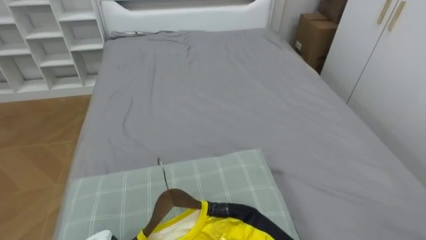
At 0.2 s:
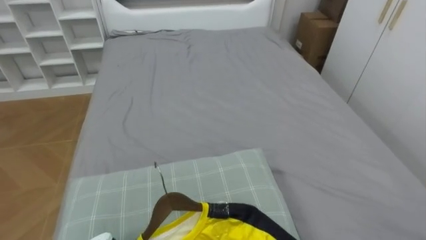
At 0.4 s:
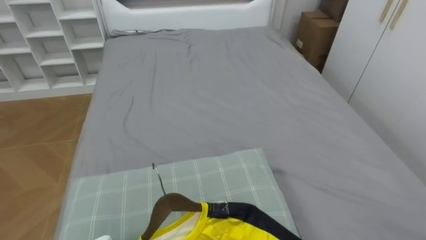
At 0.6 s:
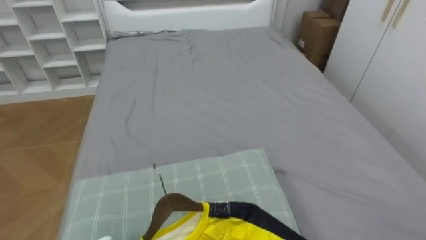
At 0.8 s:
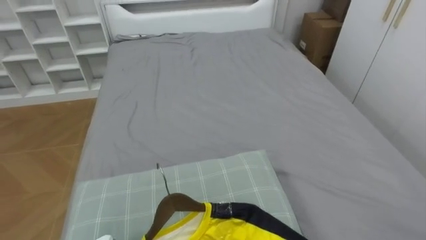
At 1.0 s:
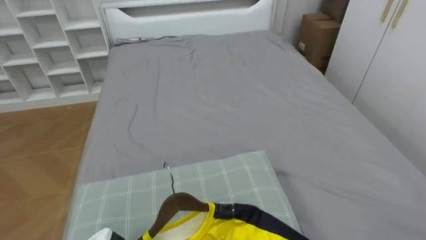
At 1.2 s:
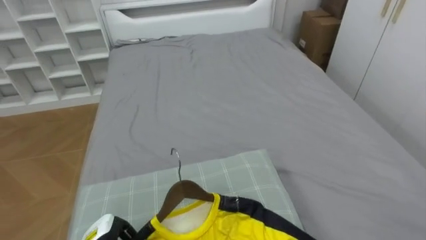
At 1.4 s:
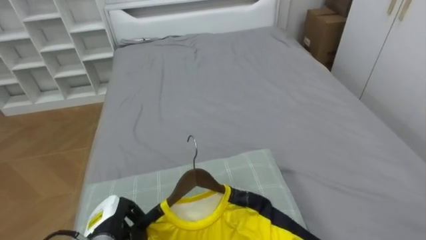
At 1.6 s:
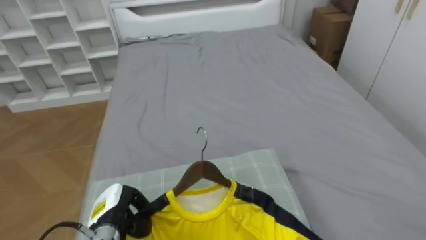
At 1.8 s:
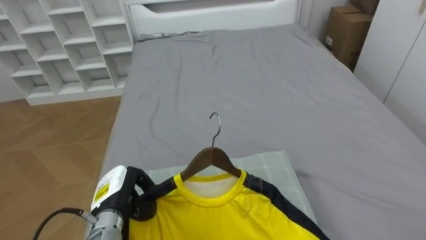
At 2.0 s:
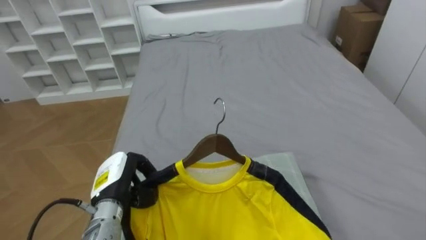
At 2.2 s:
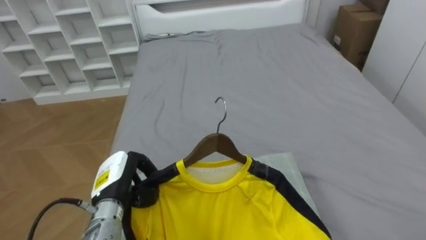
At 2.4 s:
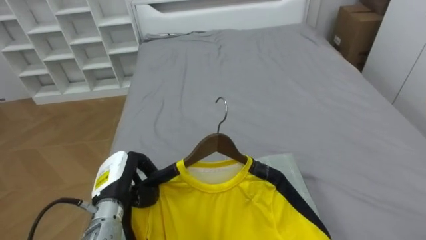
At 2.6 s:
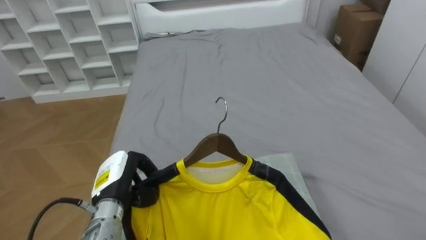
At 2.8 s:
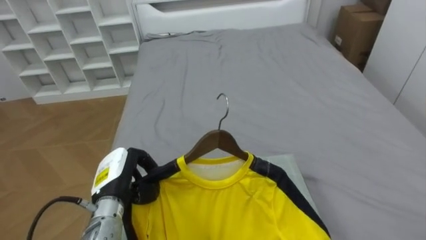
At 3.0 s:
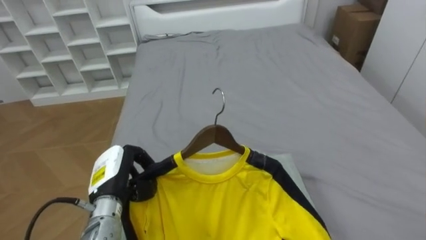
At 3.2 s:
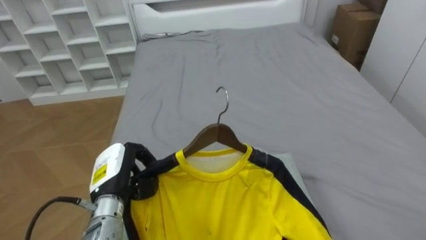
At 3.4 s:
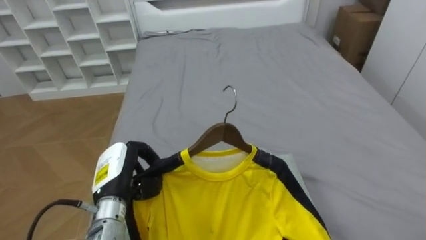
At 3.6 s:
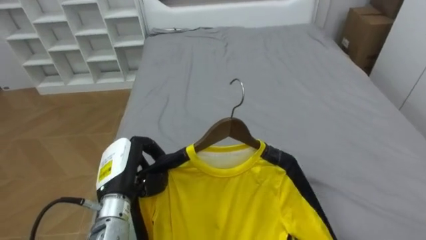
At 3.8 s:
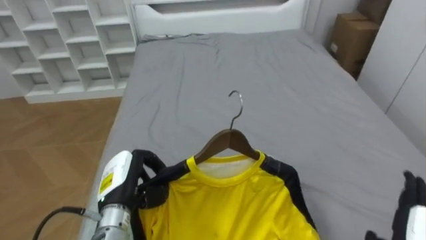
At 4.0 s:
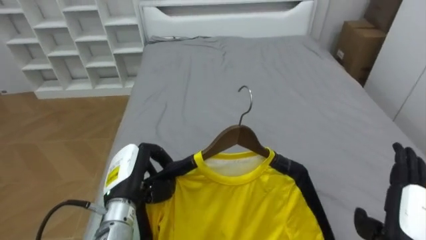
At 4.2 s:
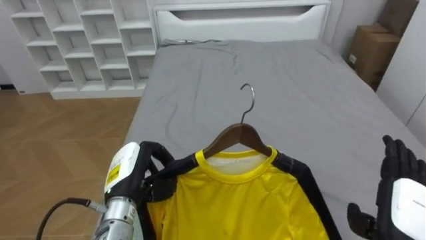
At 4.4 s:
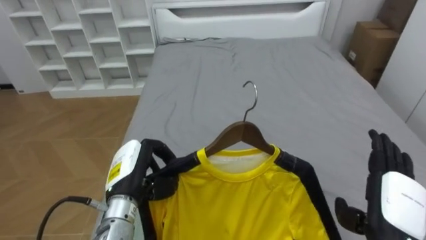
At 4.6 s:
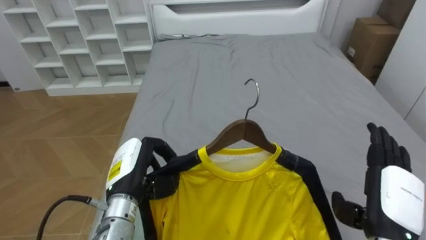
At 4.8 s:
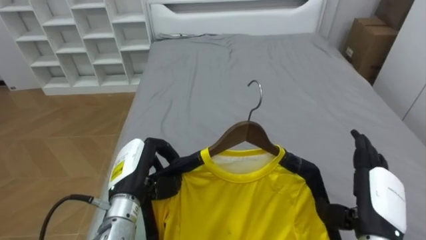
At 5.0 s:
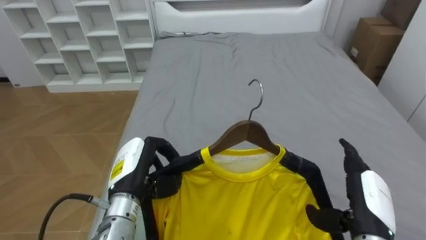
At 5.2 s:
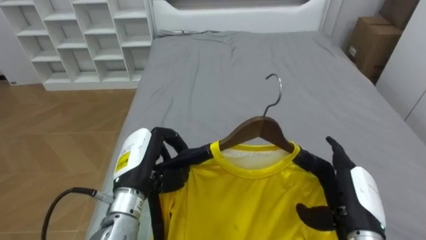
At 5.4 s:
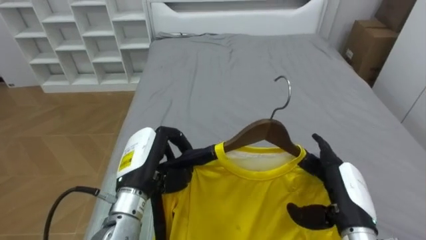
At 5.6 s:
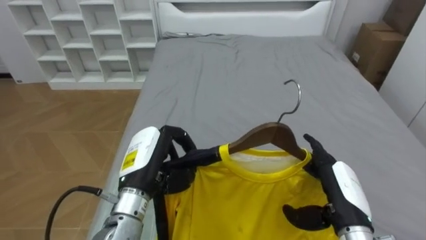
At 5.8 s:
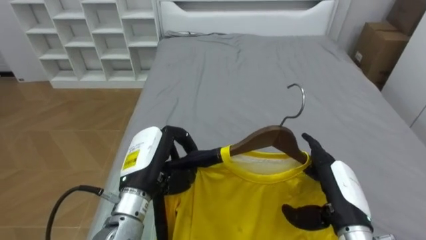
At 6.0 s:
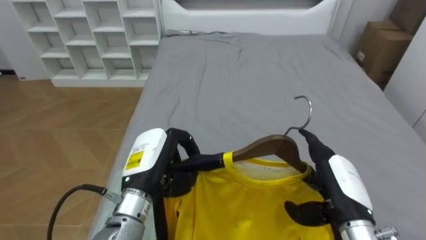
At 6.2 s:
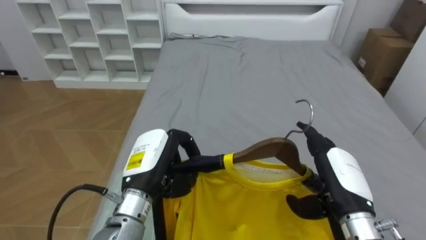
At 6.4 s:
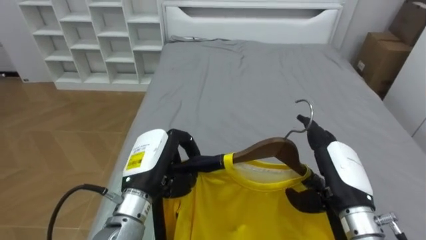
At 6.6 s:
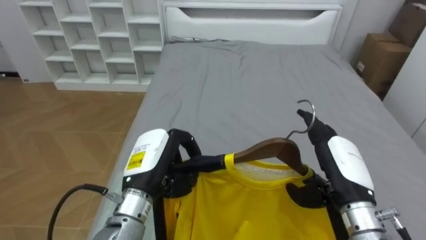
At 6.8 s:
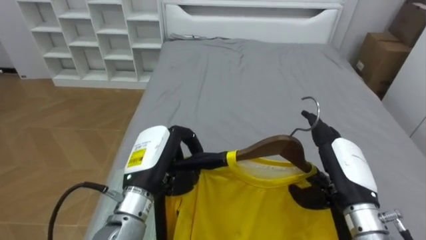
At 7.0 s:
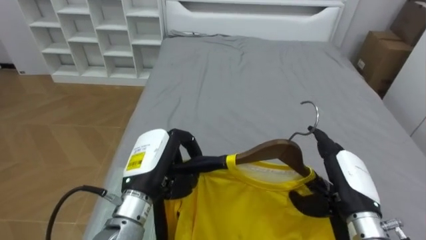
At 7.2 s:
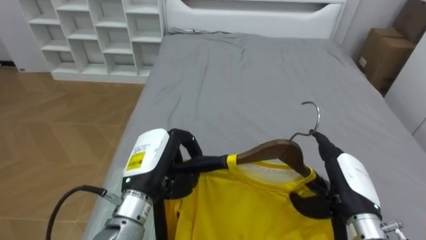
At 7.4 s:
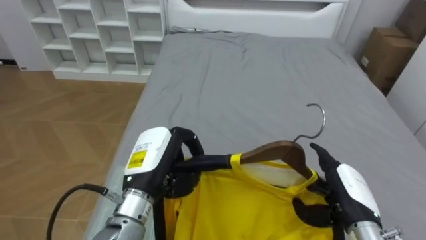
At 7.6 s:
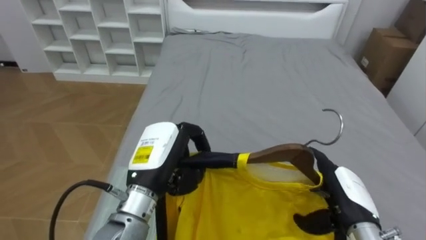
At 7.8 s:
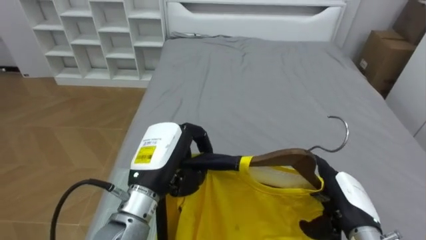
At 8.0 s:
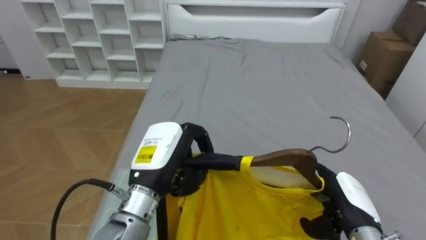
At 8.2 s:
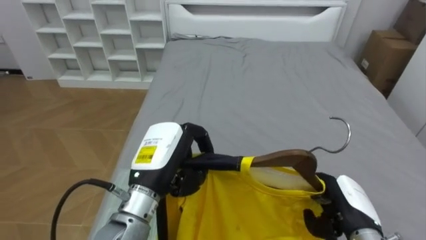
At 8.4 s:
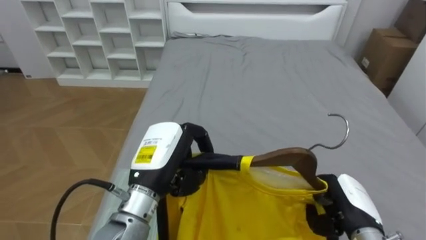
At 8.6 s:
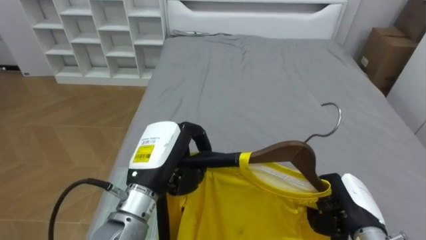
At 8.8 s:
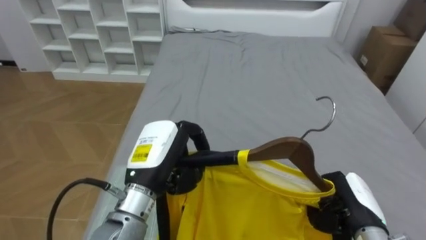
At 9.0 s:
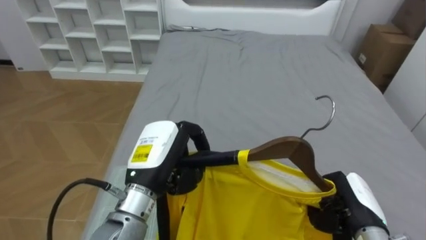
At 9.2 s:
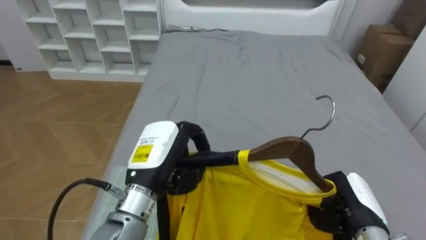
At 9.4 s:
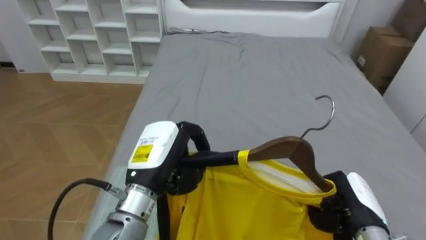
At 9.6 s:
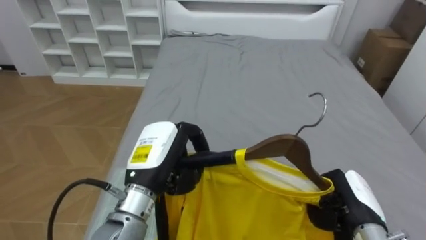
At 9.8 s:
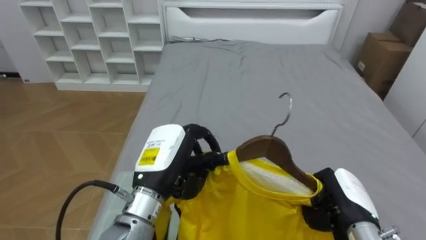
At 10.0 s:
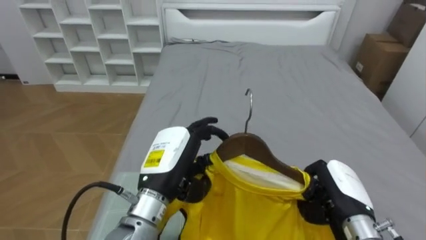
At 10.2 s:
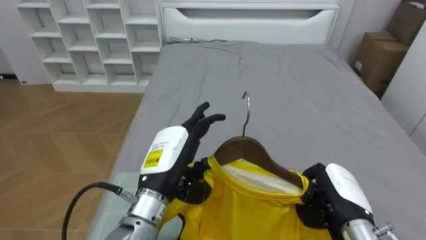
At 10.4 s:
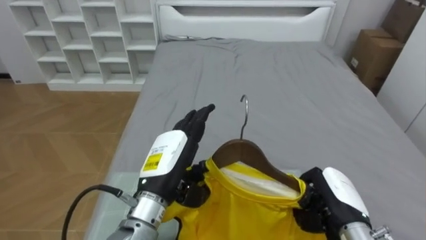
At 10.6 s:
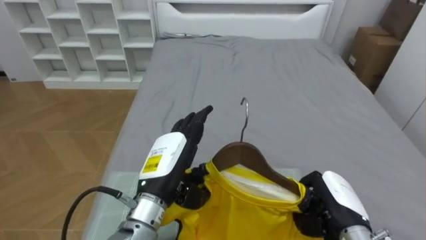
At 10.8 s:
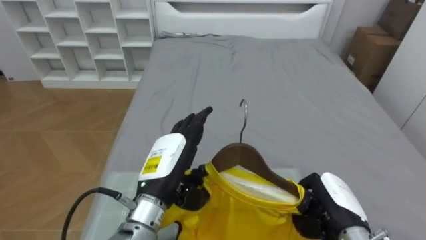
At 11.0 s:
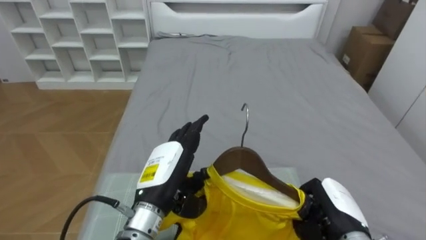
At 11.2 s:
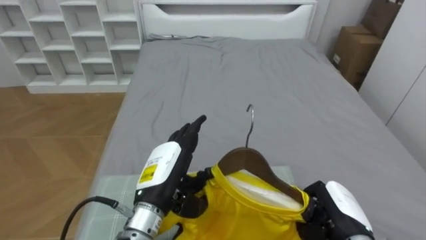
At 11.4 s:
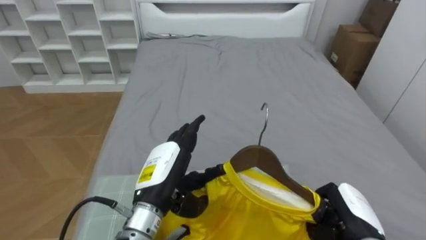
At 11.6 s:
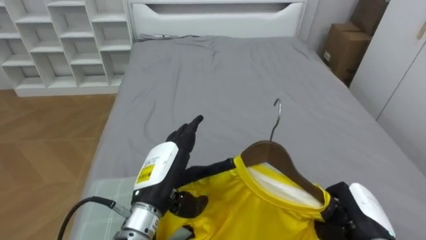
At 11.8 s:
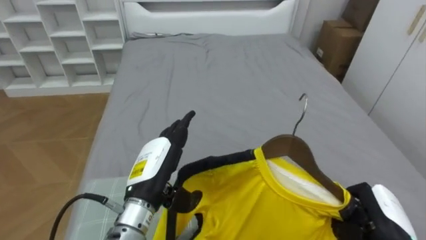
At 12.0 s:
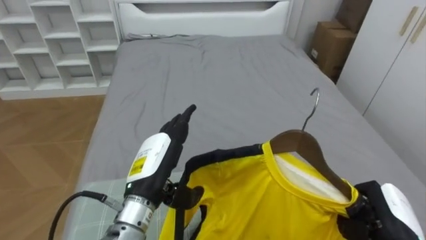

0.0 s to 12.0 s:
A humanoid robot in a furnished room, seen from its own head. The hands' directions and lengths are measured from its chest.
Task of the whole recording: Pick up the yellow shirt on the bed and hang it on the clothes rack on the right.
1.6 to 3.0 s: The left hand shifts roughly 10 cm upward.
4.4 to 6.0 s: The left hand shifts by about 5 cm; the right hand travels to the left by approximately 5 cm.
6.0 to 7.6 s: The right hand shifts by about 5 cm.
7.6 to 9.0 s: The right hand closes its fingers.
9.0 to 10.4 s: The left hand opens its fingers.
10.4 to 12.0 s: The right hand goes approximately 10 cm to the right.

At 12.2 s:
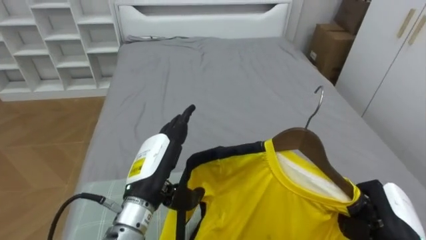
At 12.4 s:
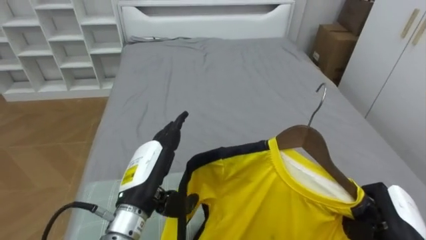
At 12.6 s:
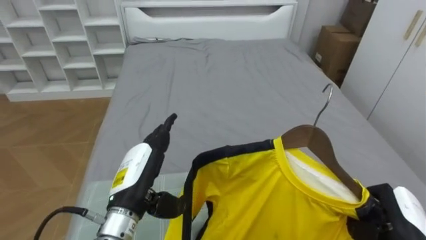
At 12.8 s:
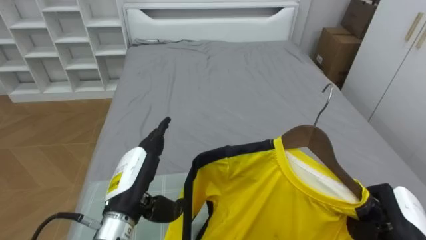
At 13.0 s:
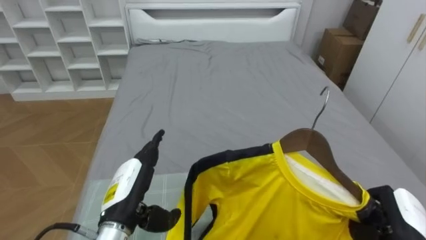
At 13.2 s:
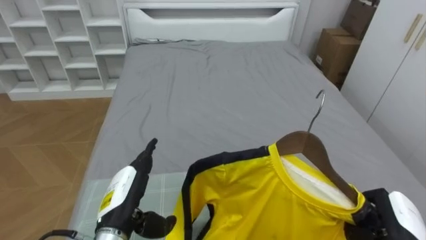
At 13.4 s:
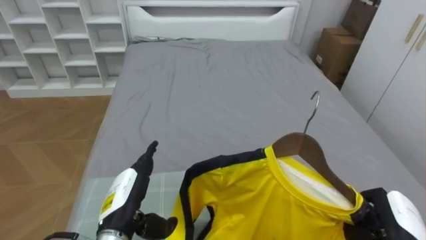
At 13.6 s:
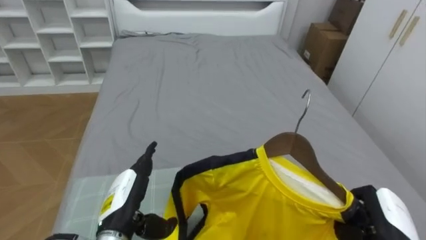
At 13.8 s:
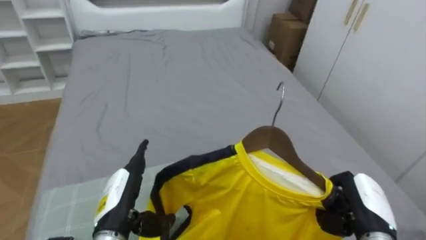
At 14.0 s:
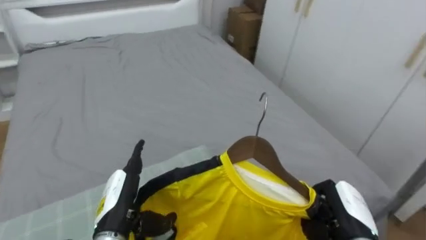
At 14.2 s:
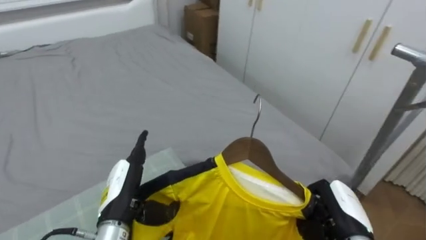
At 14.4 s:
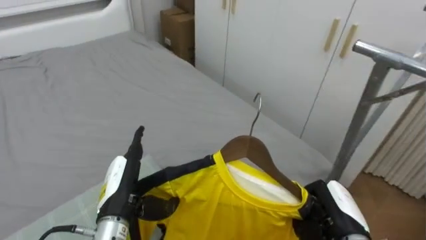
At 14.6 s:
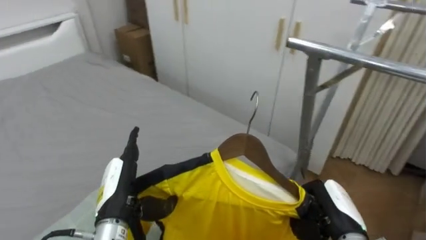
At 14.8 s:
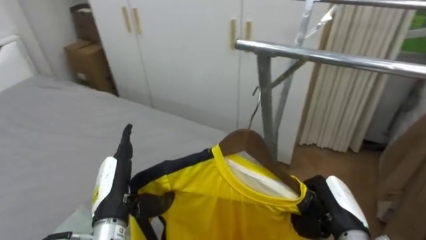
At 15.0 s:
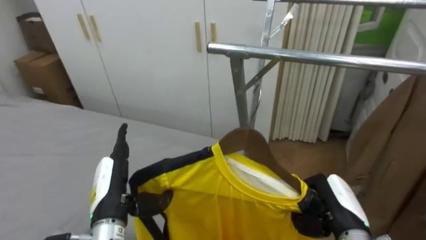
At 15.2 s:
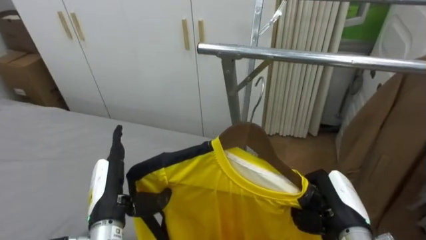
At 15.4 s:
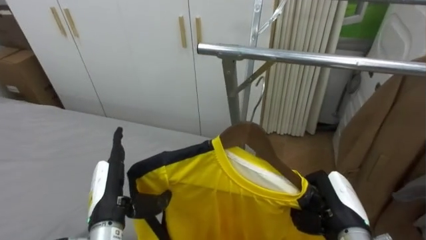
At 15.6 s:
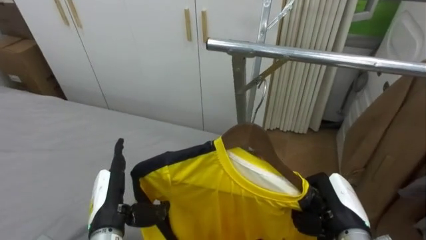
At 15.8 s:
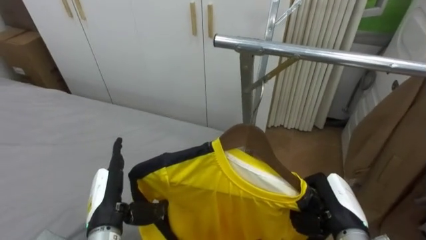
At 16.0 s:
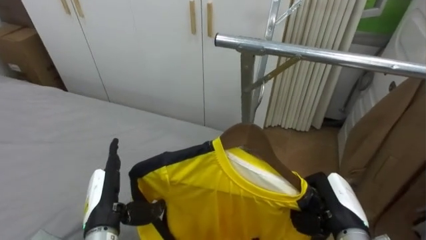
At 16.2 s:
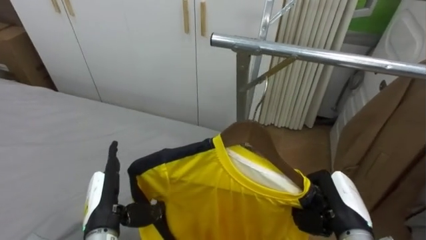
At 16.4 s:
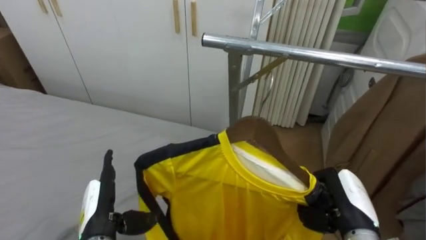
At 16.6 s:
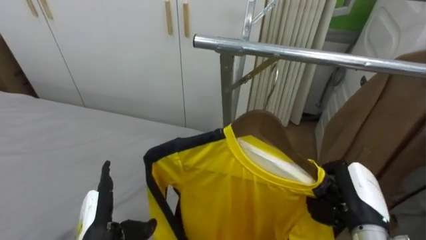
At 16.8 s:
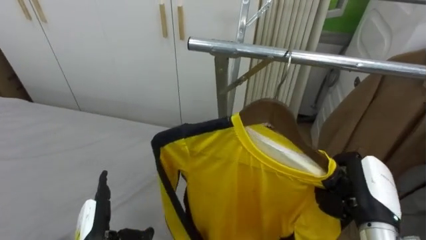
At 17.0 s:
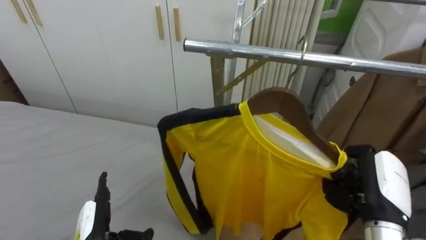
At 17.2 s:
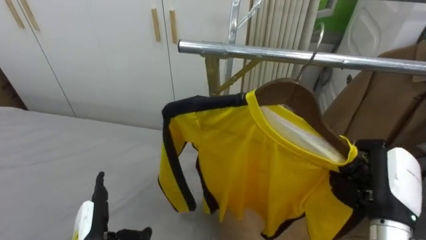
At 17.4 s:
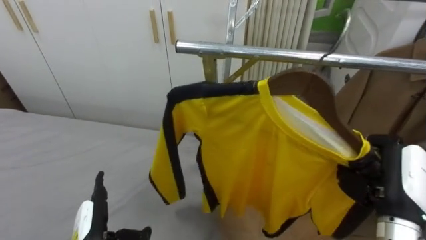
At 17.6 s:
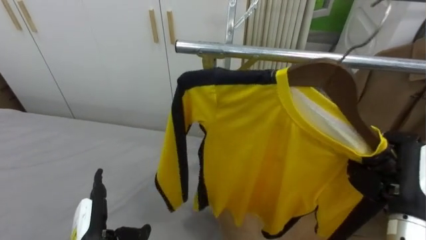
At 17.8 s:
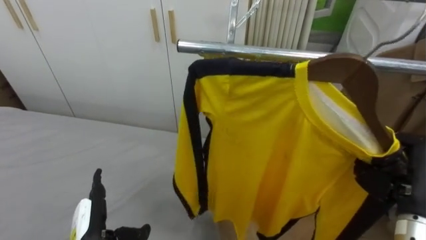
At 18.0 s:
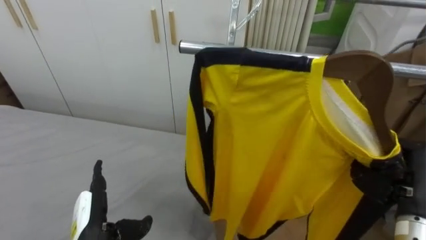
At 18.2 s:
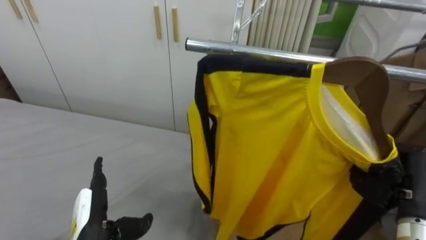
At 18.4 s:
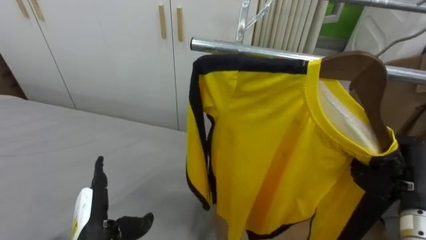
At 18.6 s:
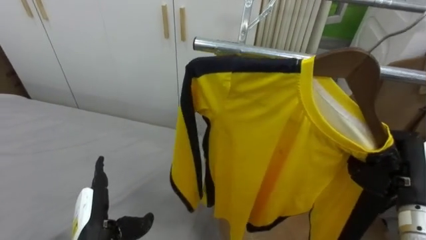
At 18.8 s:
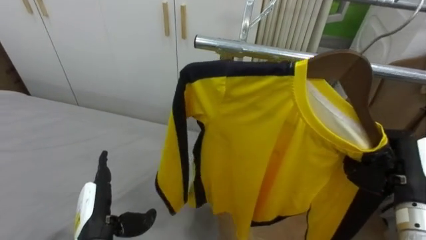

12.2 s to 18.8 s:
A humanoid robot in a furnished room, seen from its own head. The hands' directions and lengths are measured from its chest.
Task of the whole recording: Pick up the yellow shirt on the bed and hang it on the clothes rack on the right.
12.2 to 13.8 s: The left hand goes about 10 cm downward and to the left.
13.8 to 15.4 s: The robot rotates about 50 degrees to its right.
15.4 to 17.2 s: The right hand moves upward, some 10 cm. The left hand goes some 5 cm downward.
